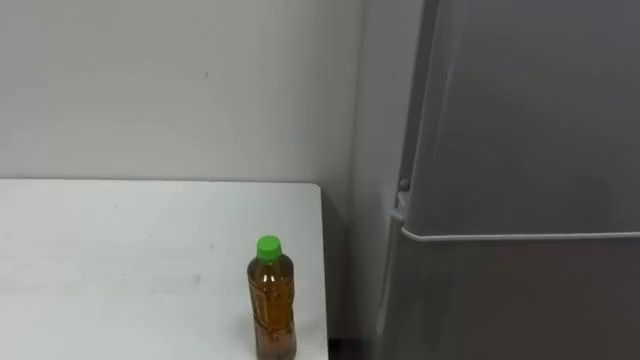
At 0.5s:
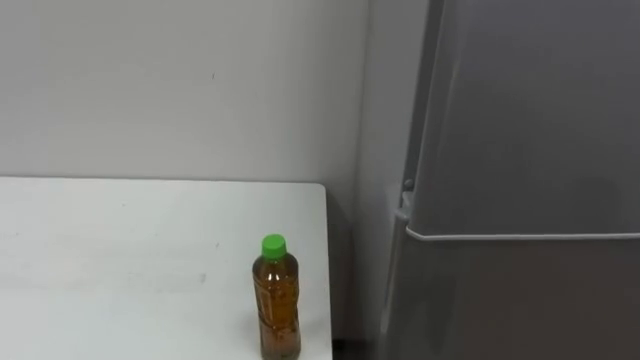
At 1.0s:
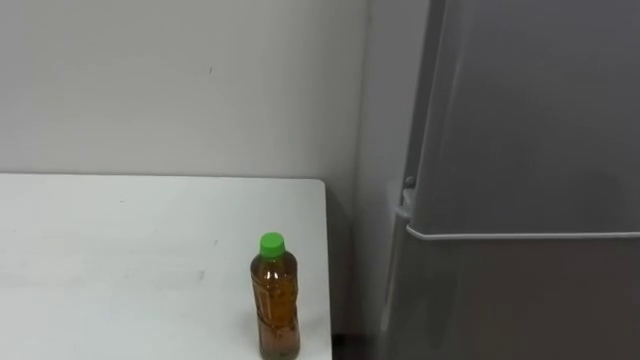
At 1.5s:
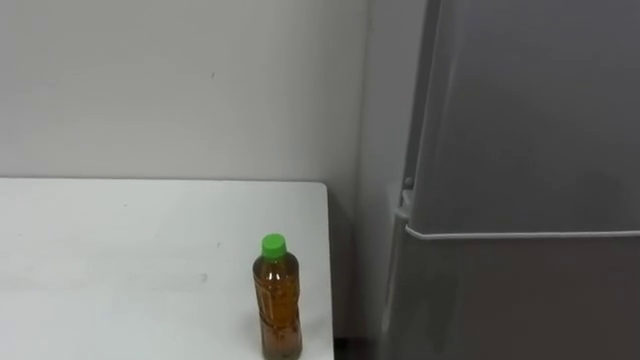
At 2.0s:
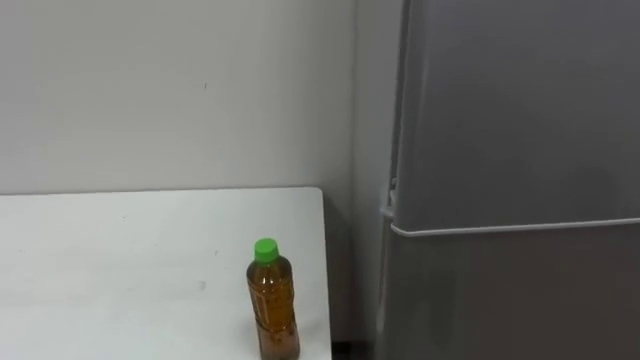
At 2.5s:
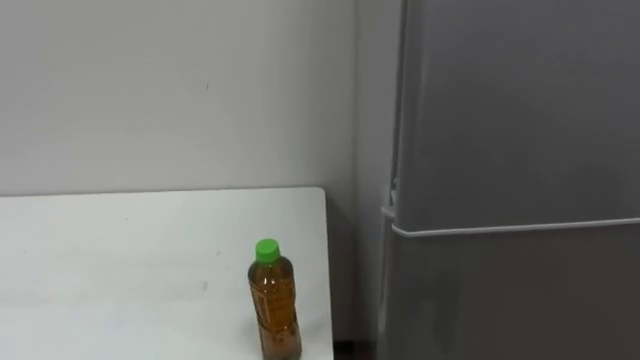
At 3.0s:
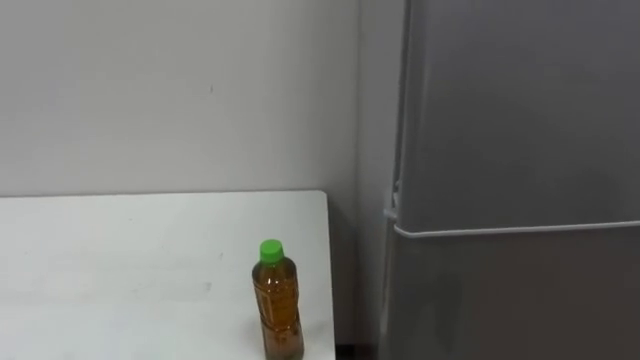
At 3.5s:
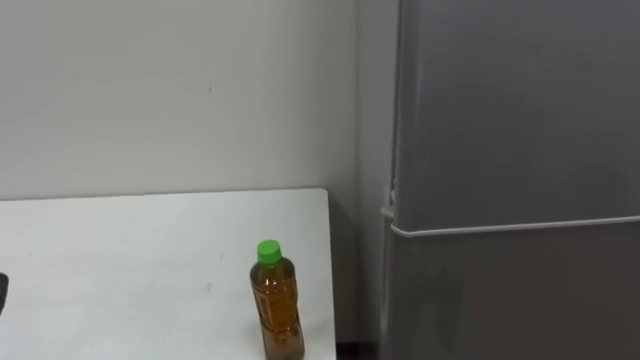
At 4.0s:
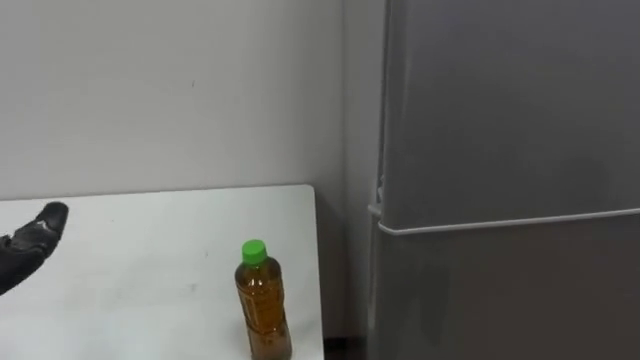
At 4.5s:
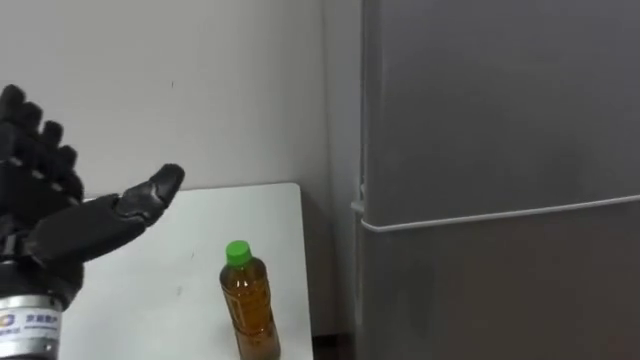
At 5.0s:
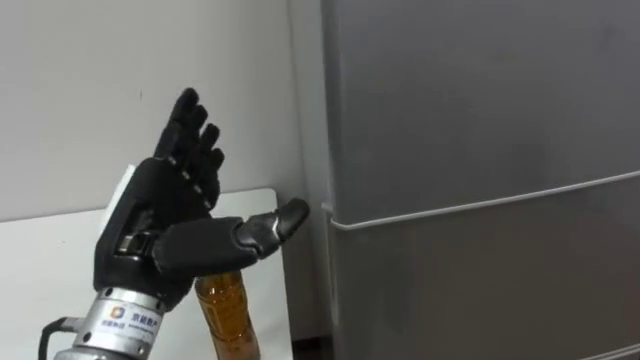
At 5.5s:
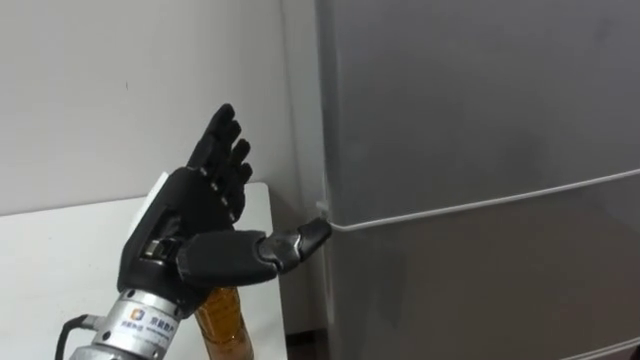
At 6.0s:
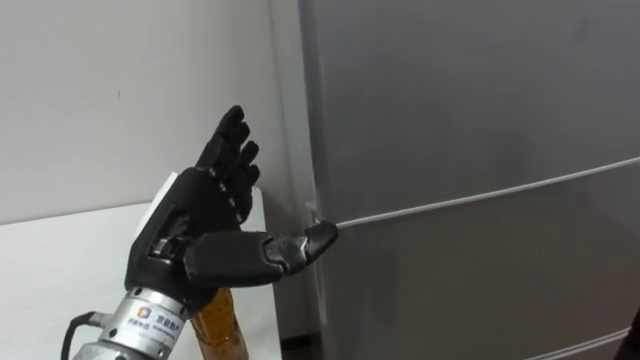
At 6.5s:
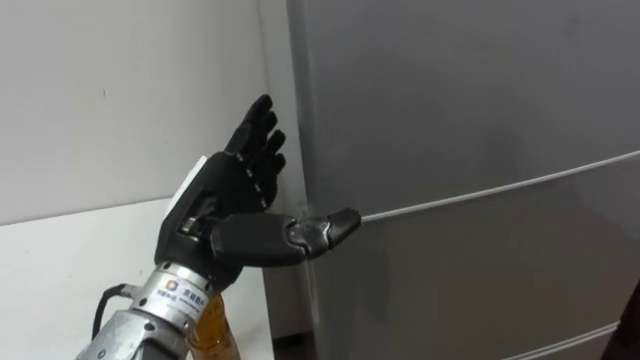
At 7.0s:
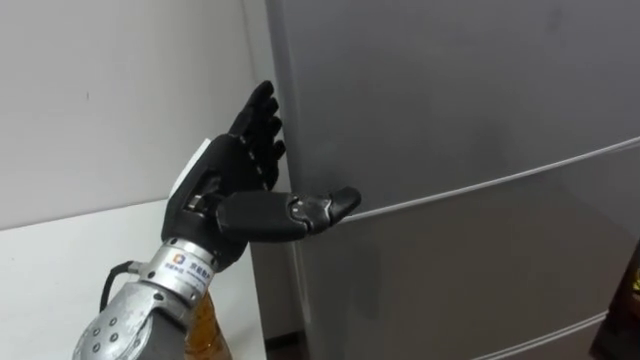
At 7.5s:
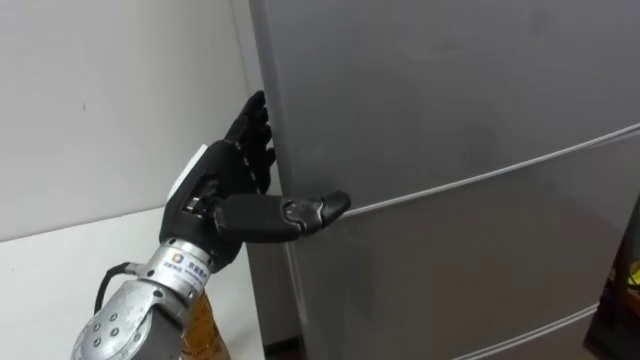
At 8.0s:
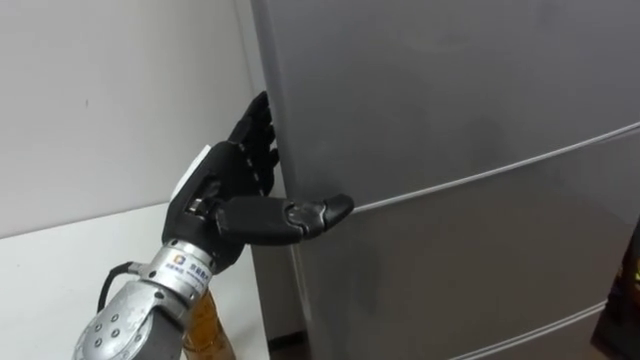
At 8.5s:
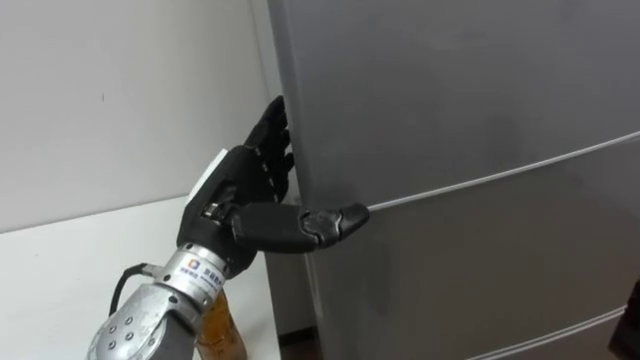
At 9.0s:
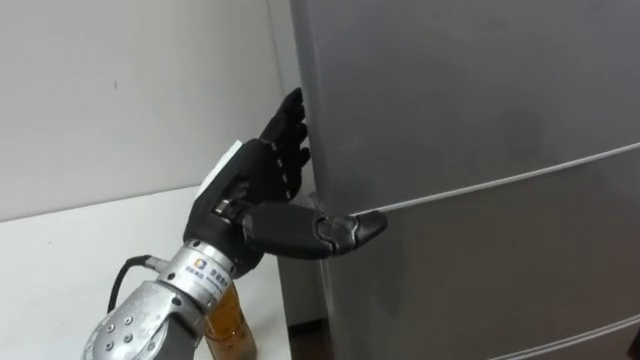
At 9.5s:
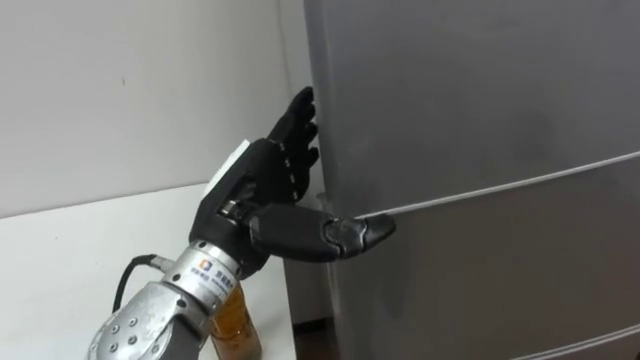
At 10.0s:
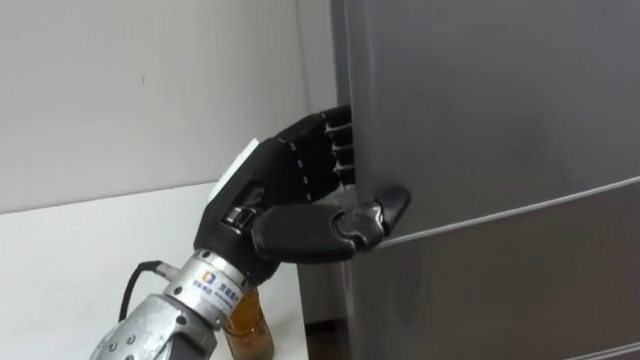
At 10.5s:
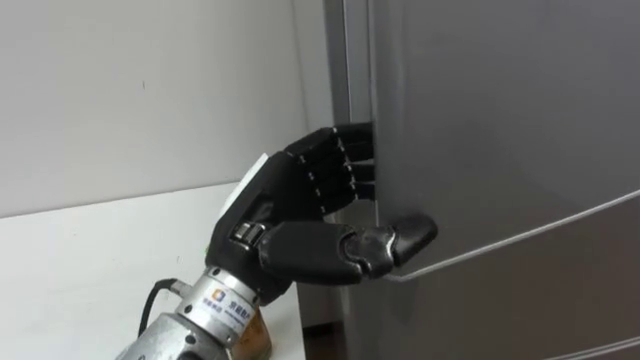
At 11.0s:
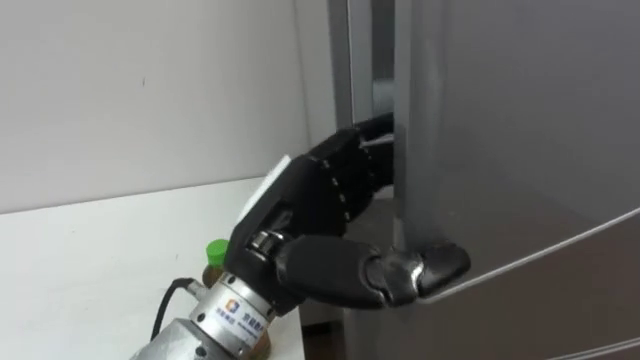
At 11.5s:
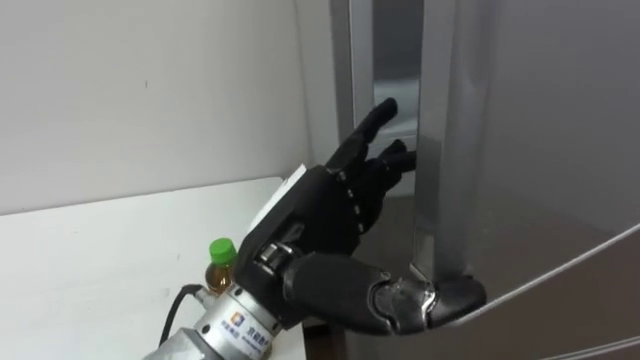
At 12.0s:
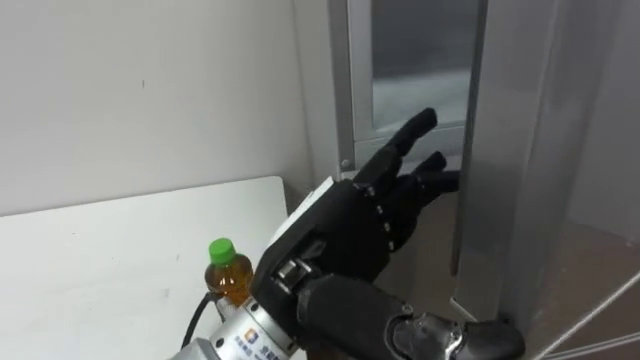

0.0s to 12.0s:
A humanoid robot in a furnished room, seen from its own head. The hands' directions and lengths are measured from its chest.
Task of the whole recording: Open the upper refrigerator door, put the drink from the table into the refrigerator, and then close the refrigerator door.
8.0s to 10.0s: The left hand moves some 5 cm, and closes its fingers.
10.0s to 12.0s: The left hand moves roughly 5 cm, and opens its fingers.

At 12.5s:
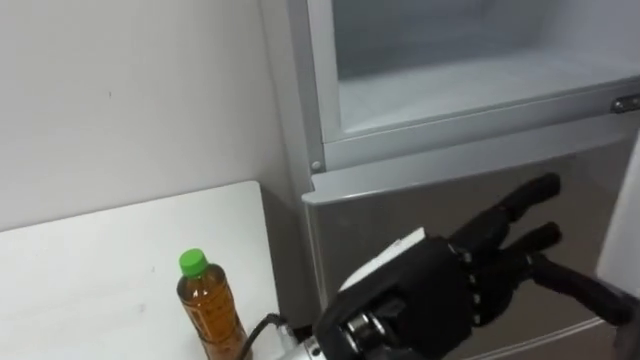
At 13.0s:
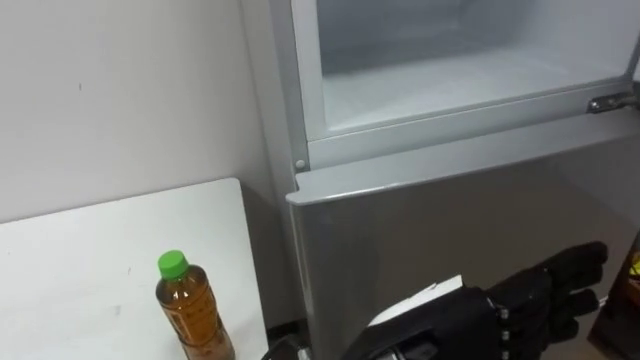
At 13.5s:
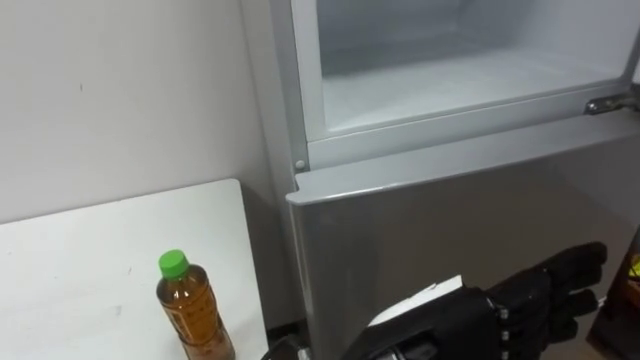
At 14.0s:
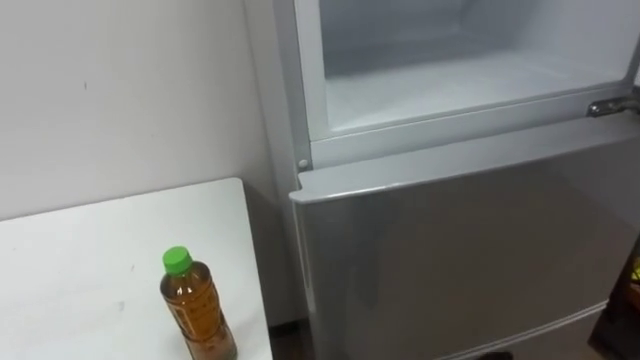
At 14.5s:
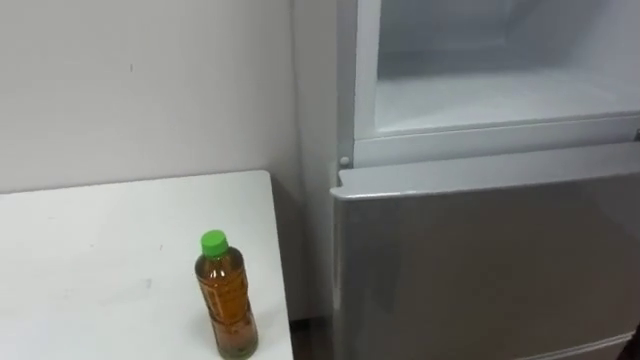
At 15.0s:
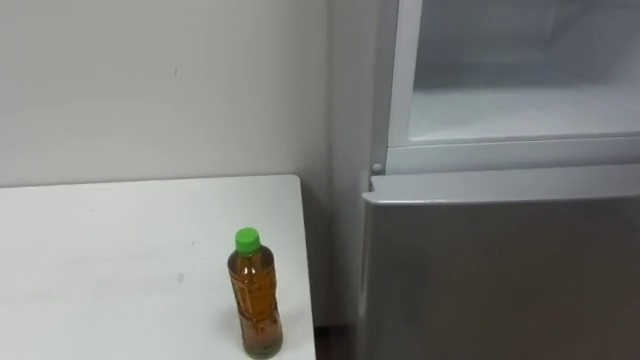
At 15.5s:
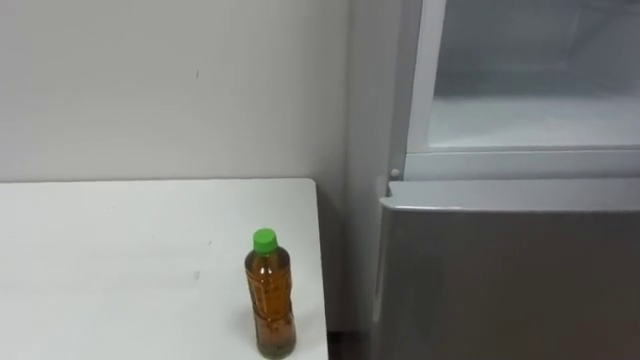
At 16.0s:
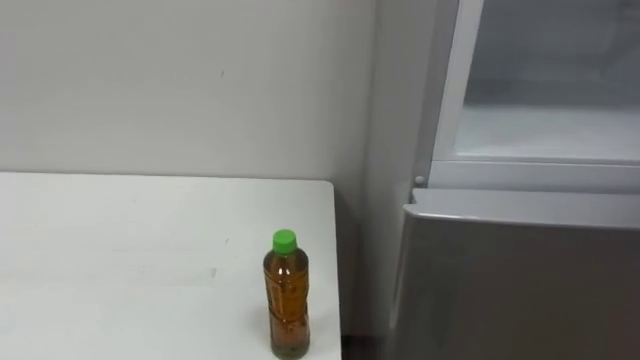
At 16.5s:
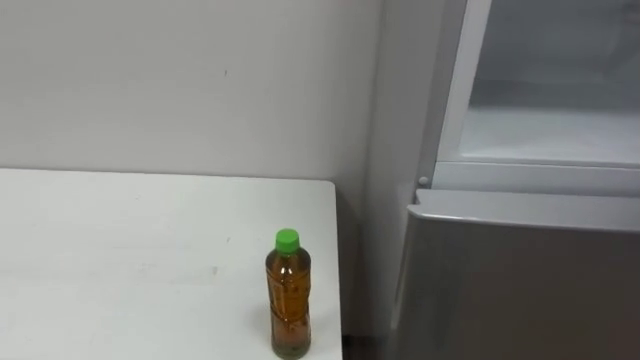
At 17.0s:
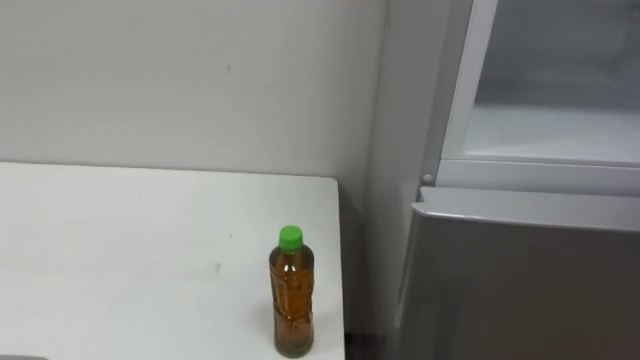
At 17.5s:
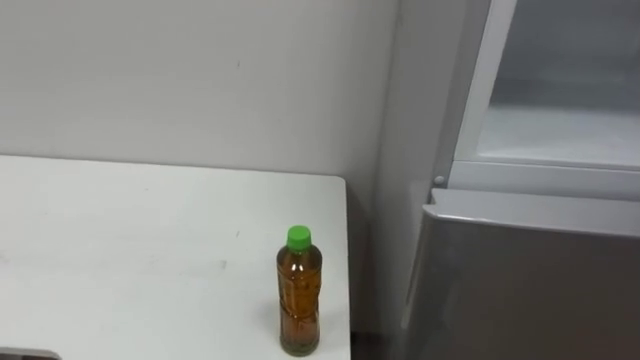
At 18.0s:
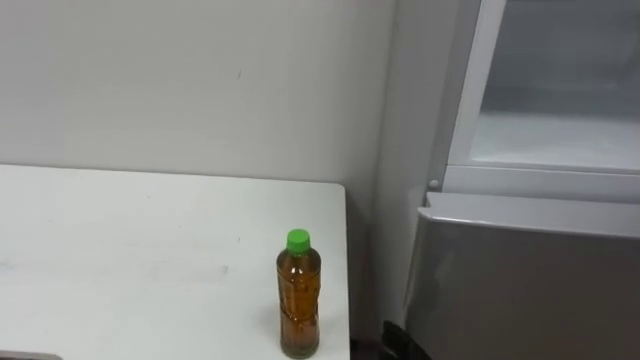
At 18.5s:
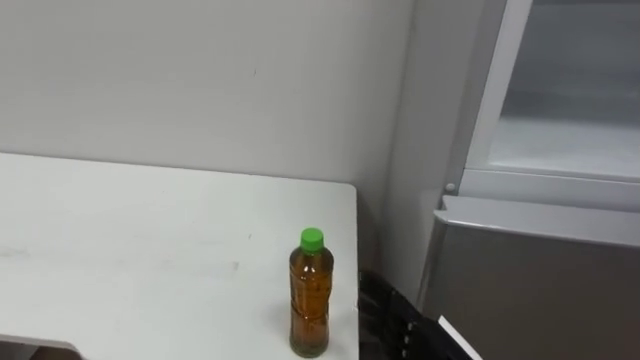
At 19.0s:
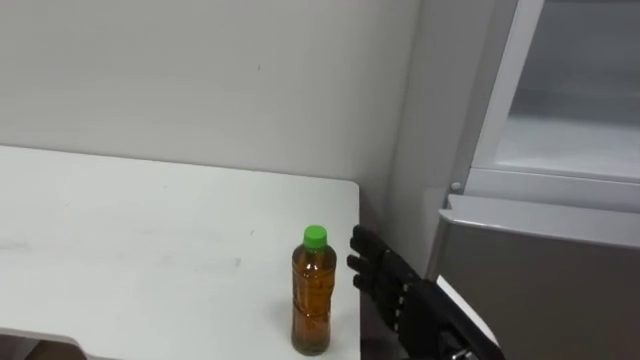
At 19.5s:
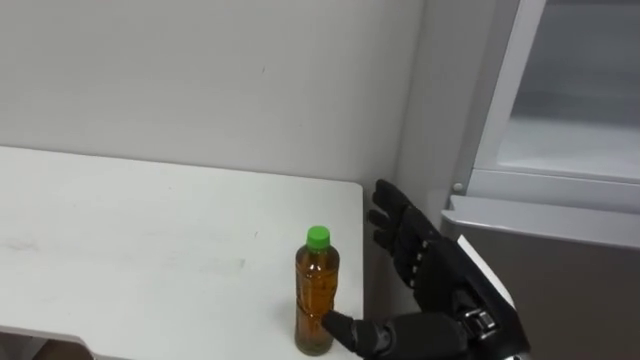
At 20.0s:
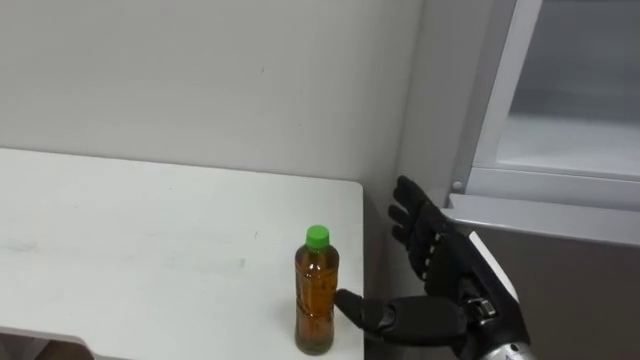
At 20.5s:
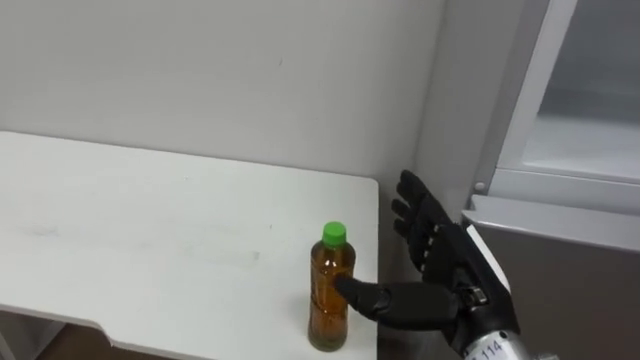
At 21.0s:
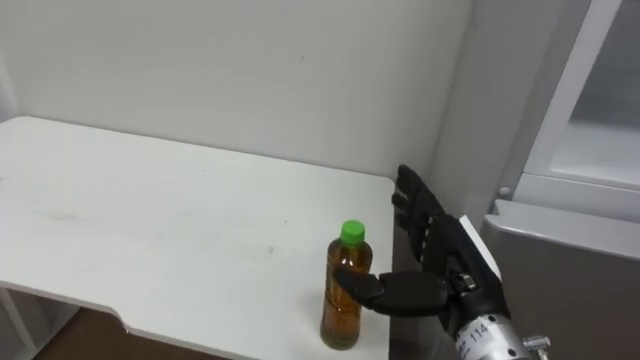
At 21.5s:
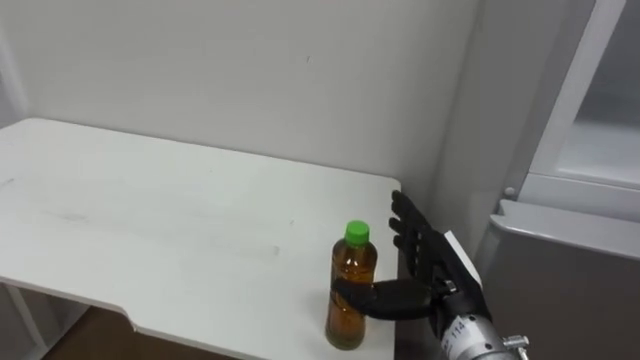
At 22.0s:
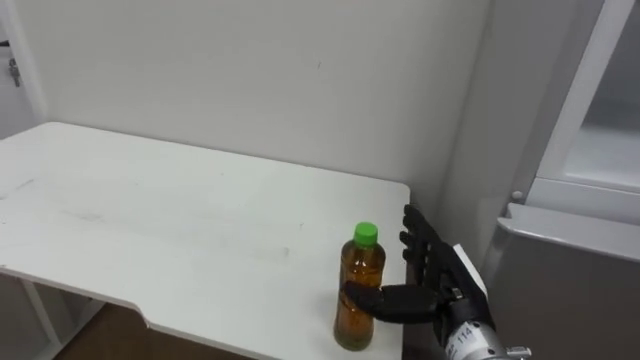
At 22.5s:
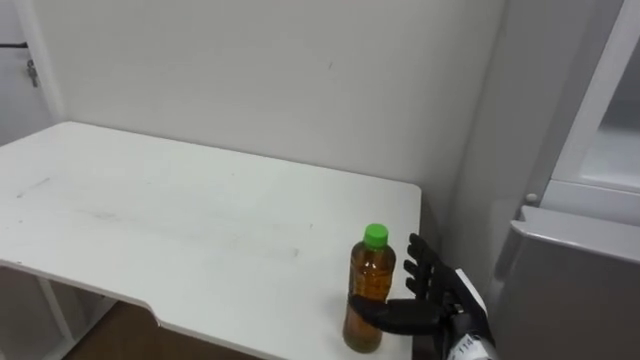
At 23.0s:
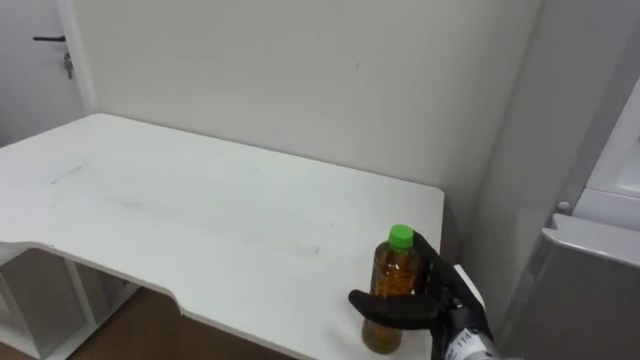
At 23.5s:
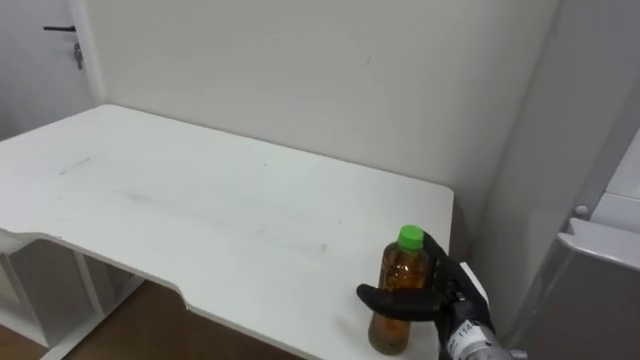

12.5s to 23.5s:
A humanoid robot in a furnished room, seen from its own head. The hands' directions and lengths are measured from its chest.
Task of the whole recording: Open the upper refrigerator door, put the drink from the table into the refrigerator, and then close the refrigerator door.
20.0s to 21.5s: The right hand goes about 5 cm forward.
21.5s to 23.5s: The right hand heads downward, covering approximately 5 cm.
